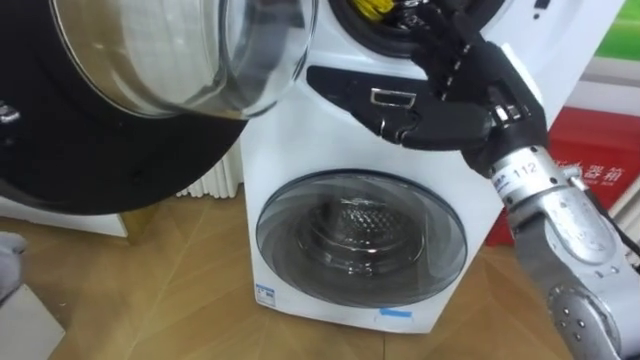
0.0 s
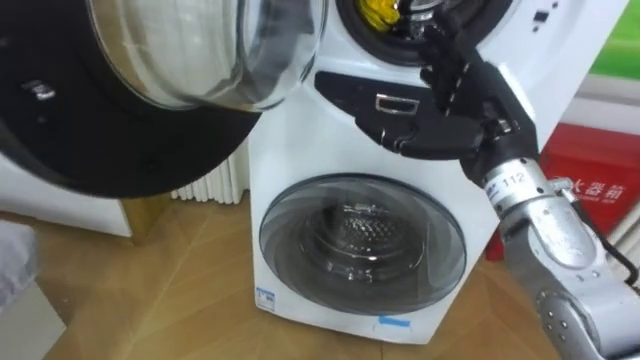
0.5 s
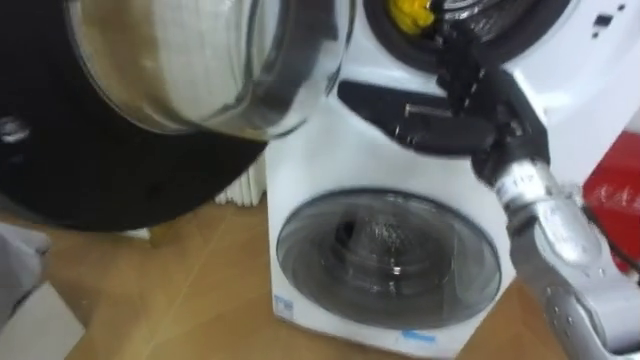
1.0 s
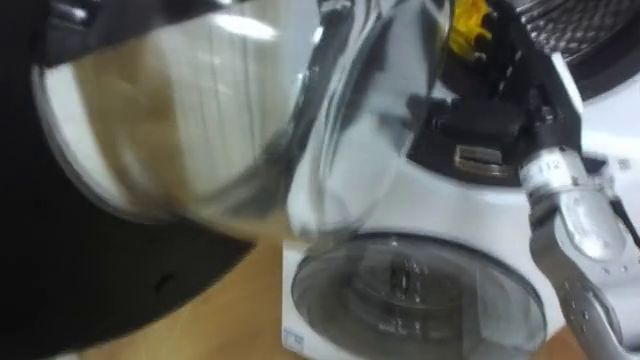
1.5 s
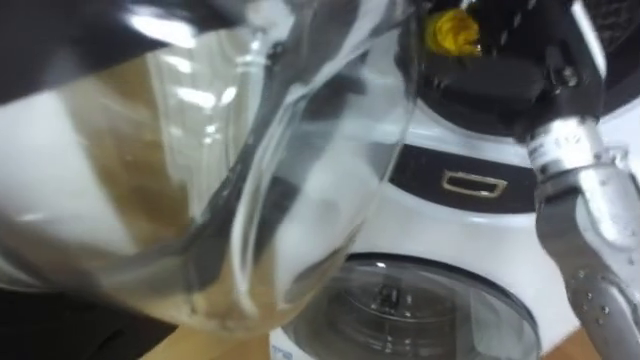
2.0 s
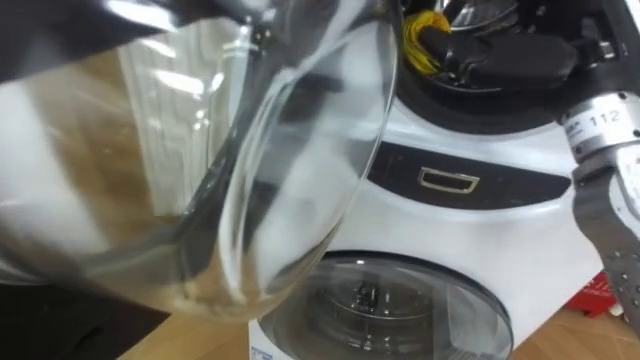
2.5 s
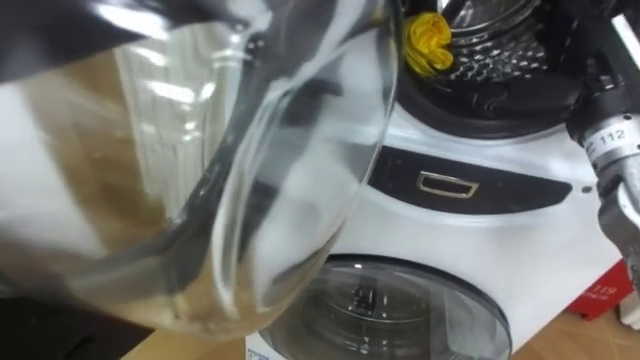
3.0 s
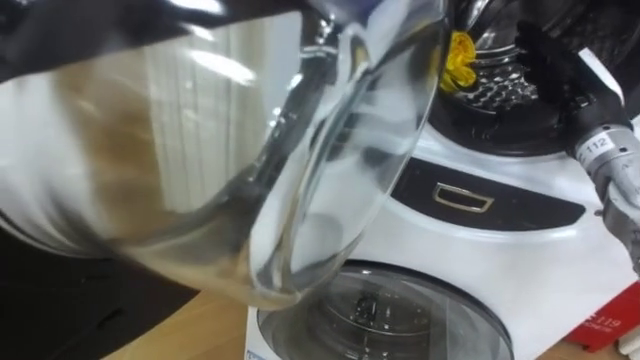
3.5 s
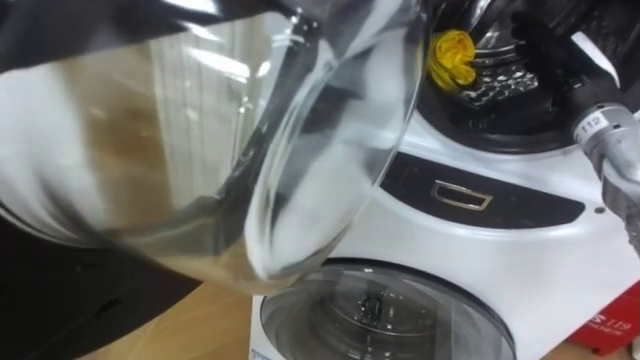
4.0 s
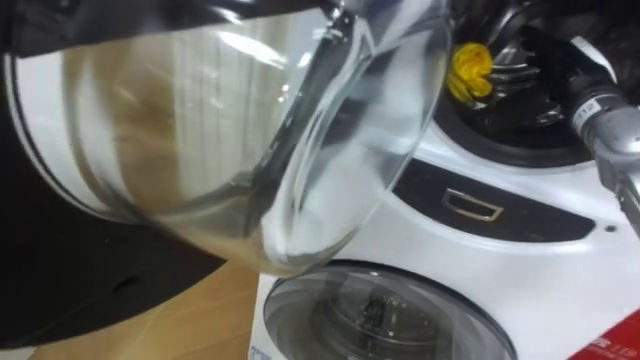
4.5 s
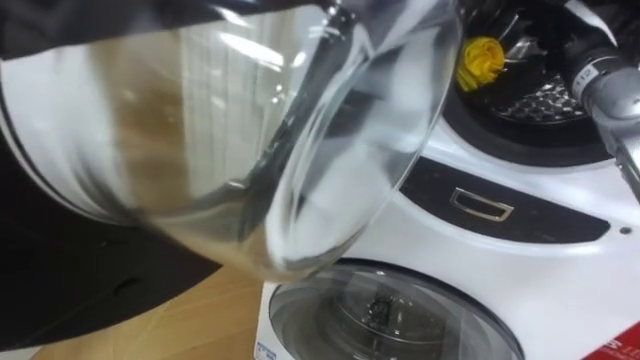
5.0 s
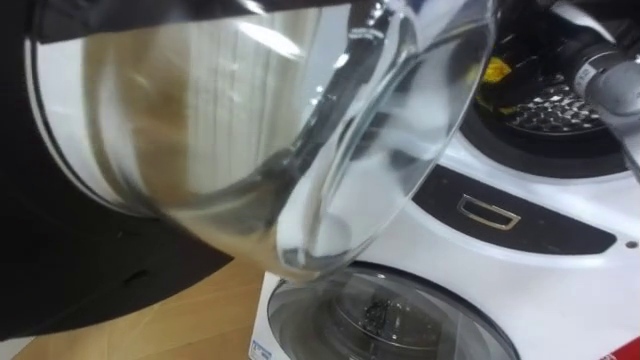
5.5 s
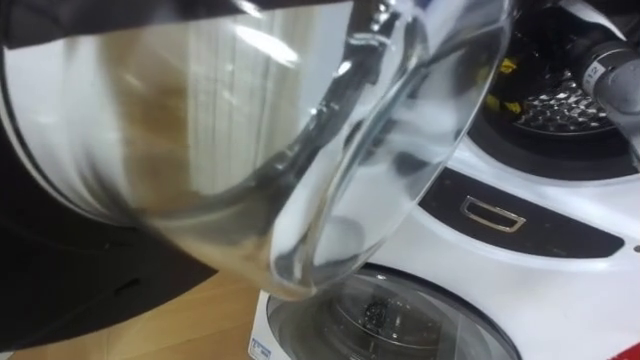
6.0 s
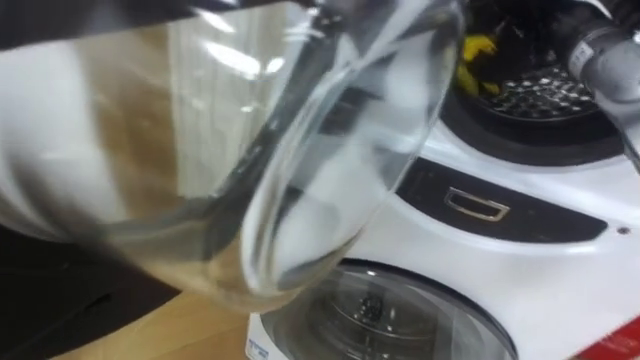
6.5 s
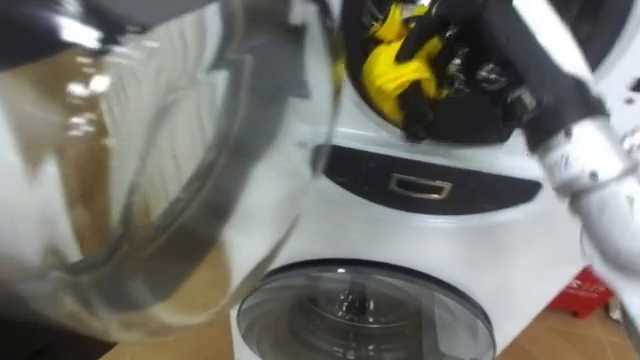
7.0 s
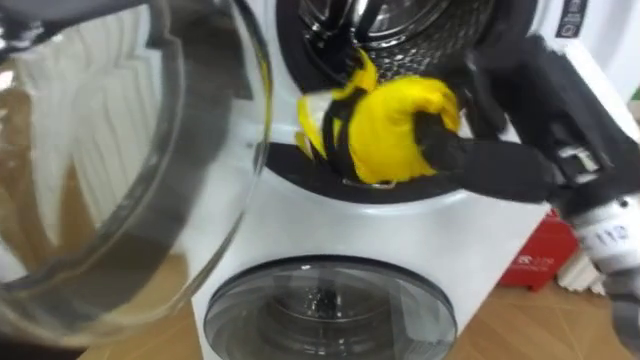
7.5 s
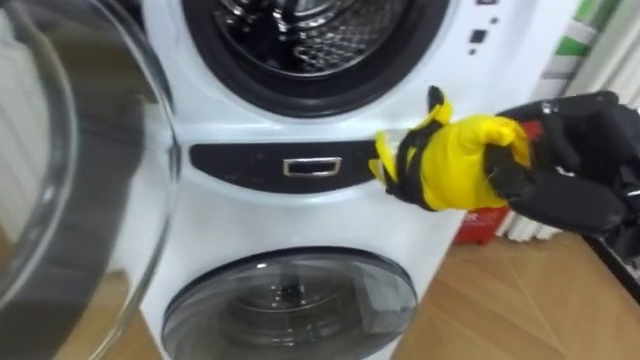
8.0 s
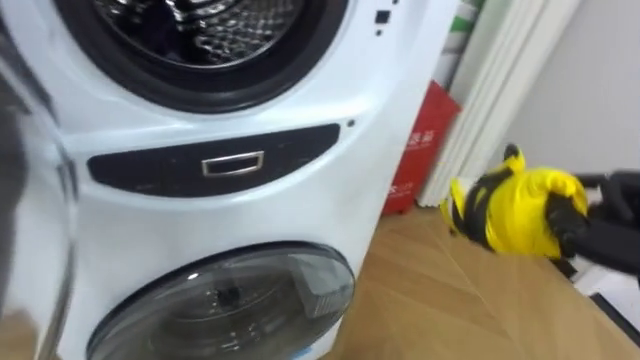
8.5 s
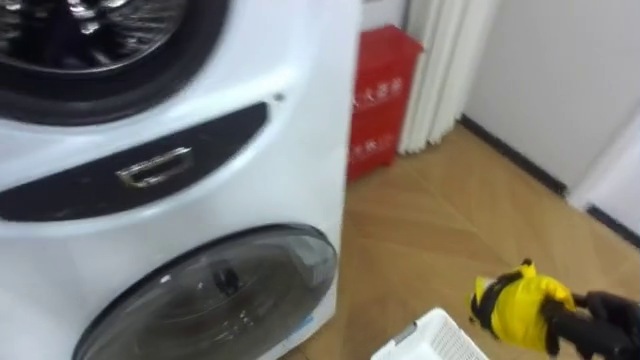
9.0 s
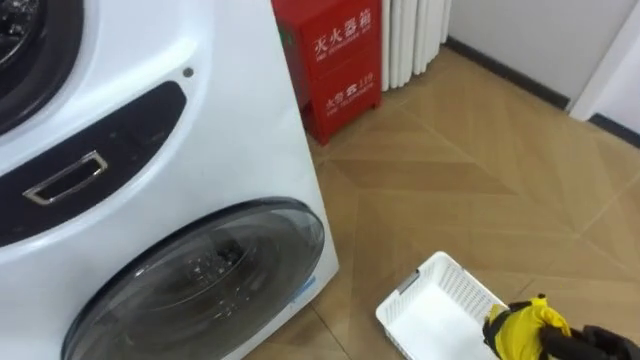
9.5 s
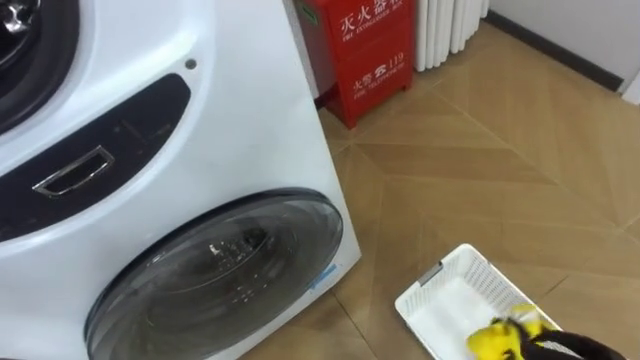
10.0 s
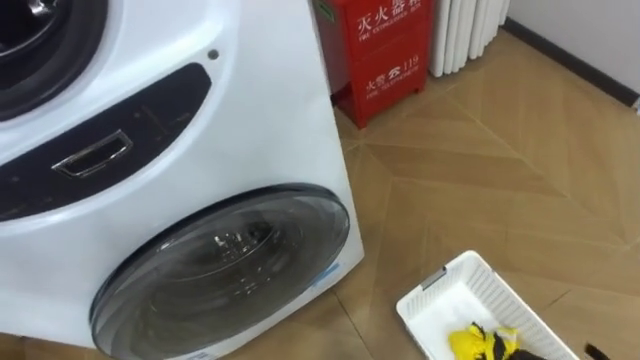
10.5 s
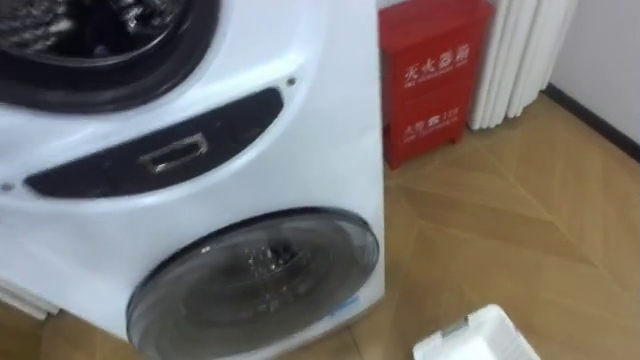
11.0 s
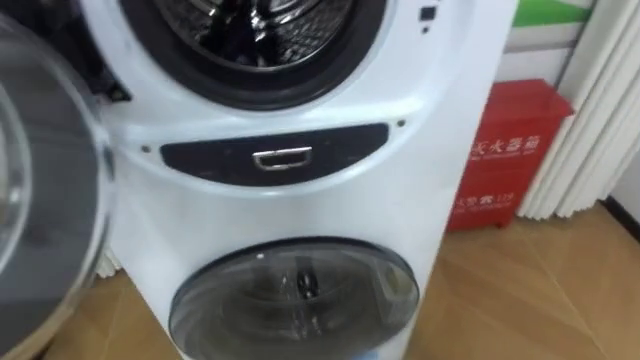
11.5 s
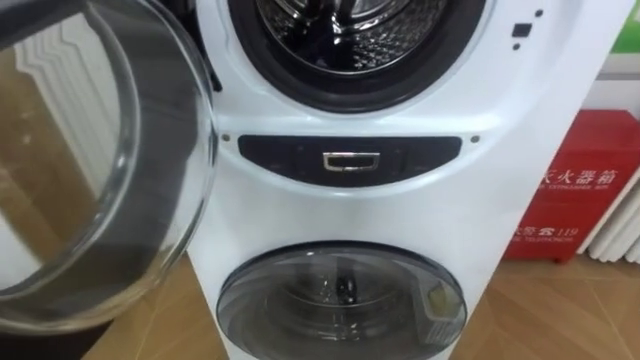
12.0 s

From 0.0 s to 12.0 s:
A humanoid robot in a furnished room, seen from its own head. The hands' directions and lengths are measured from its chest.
Task of the whole recording: Open the washing machine door, take out the yellow clothes, place them in the box on the right, and close the washing machine door.
From 2.0 s to 4.0 s: The right hand moves to the right, forward and downward, about 10 cm.
From 4.0 s to 6.0 s: The right hand closes up.
From 8.0 s to 10.0 s: The robot turns to its right by some 15 degrees.

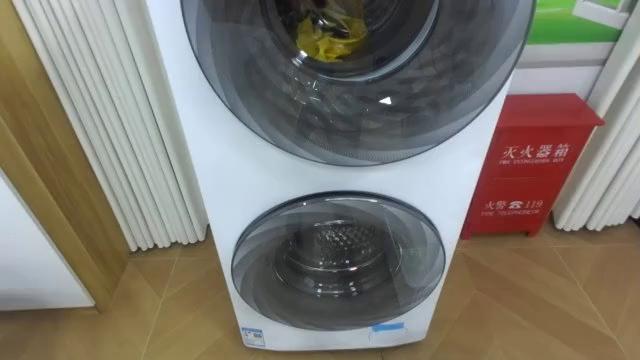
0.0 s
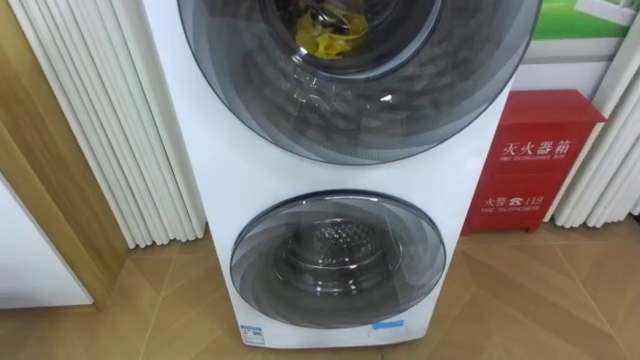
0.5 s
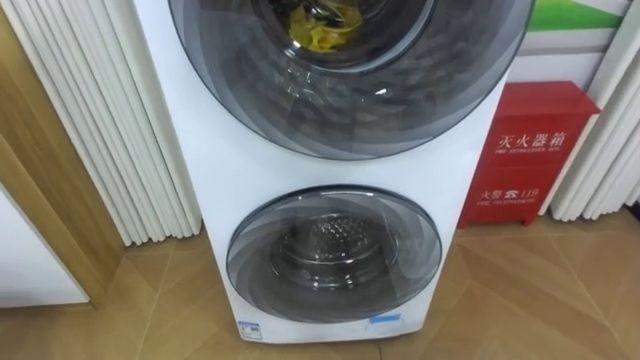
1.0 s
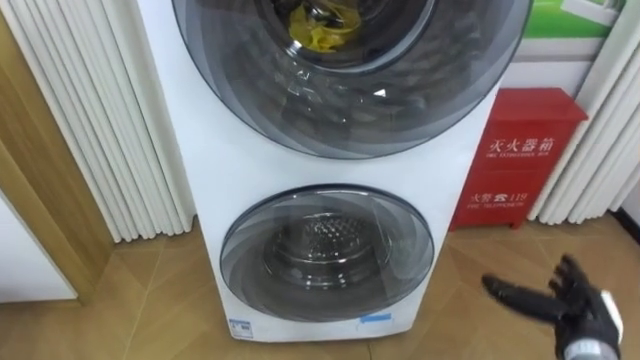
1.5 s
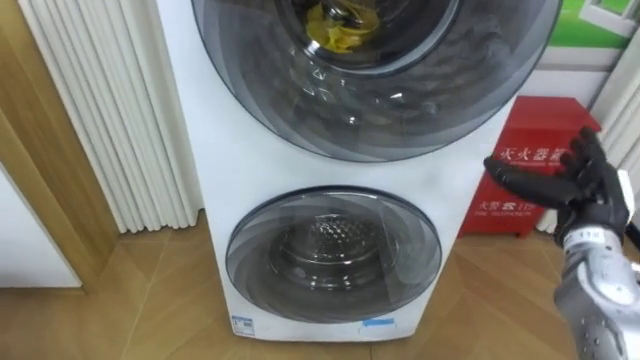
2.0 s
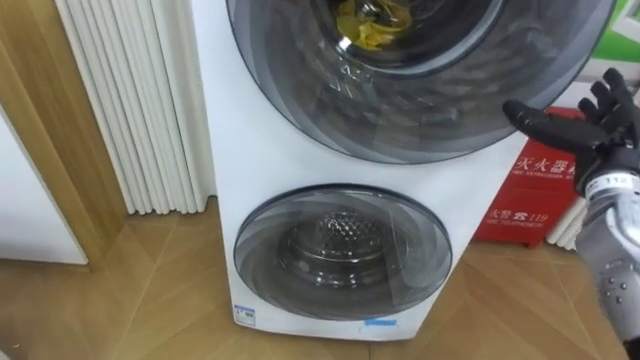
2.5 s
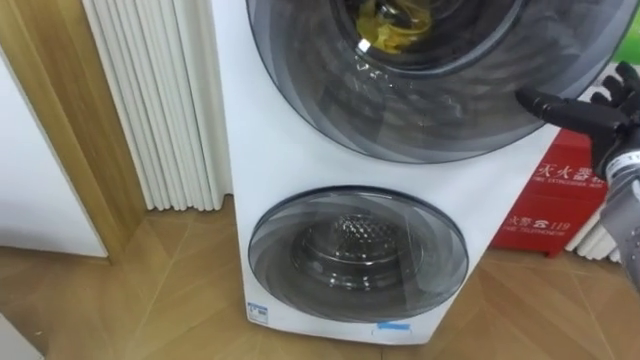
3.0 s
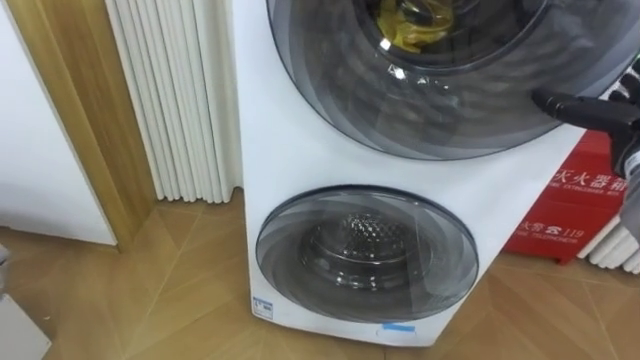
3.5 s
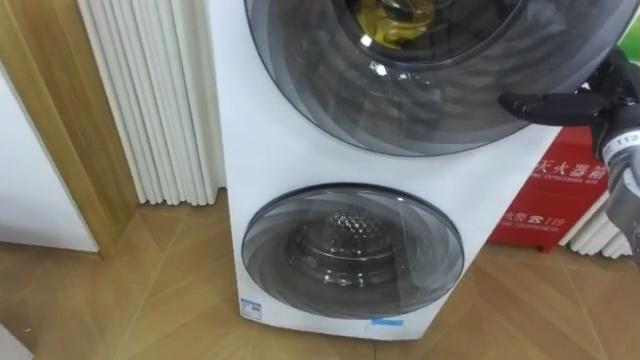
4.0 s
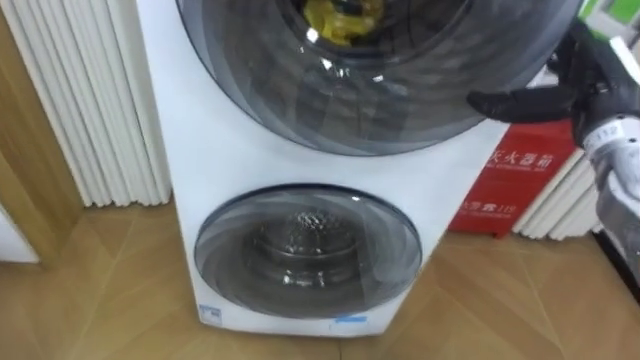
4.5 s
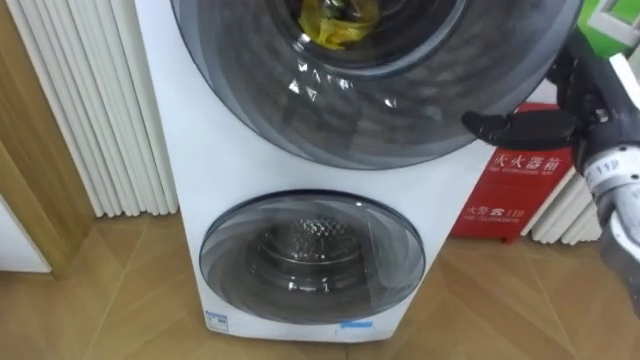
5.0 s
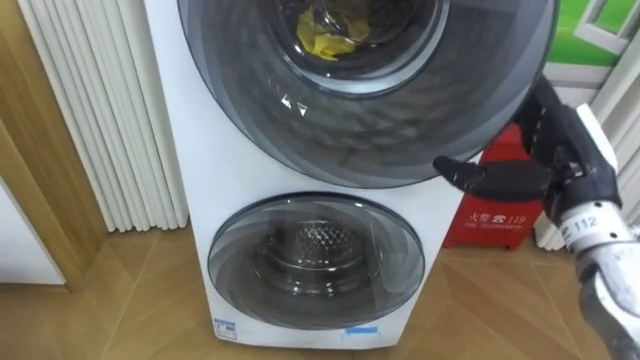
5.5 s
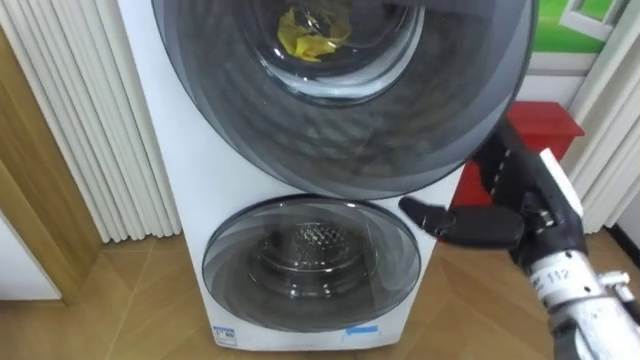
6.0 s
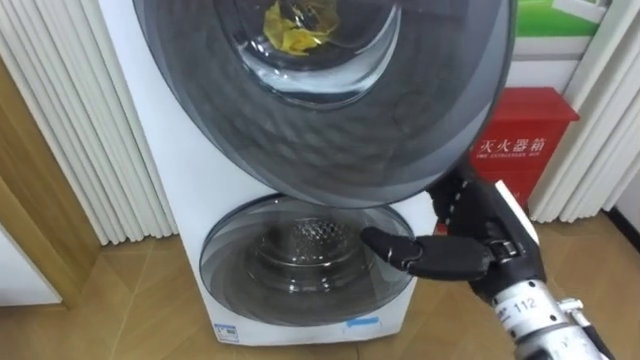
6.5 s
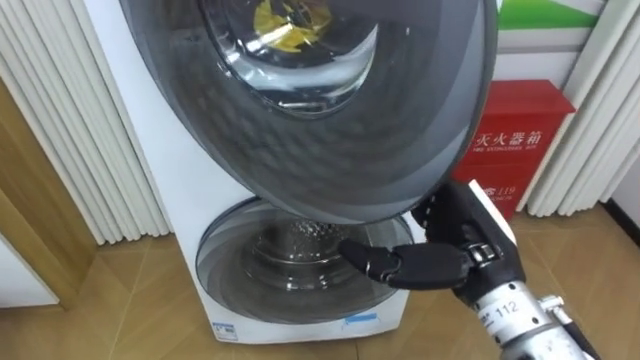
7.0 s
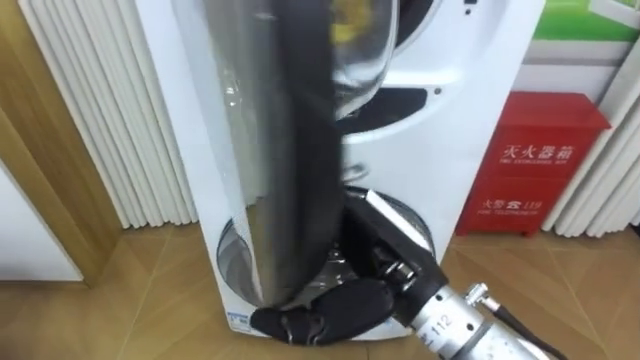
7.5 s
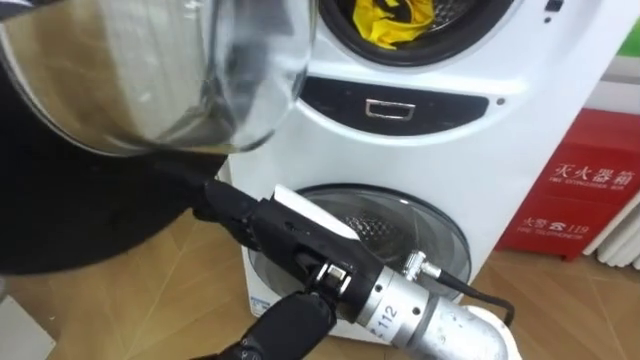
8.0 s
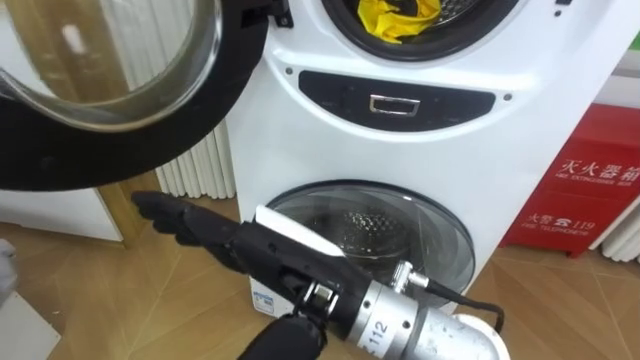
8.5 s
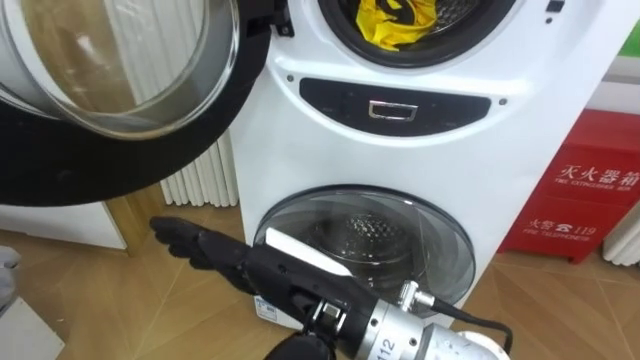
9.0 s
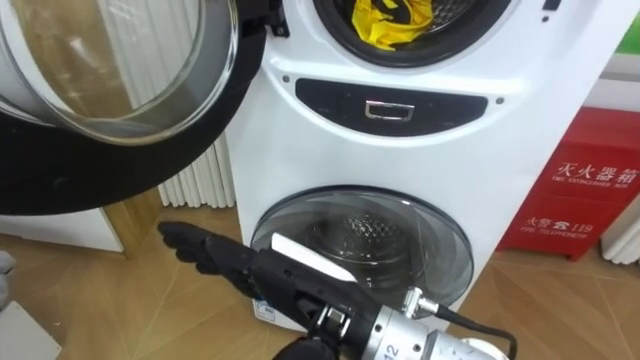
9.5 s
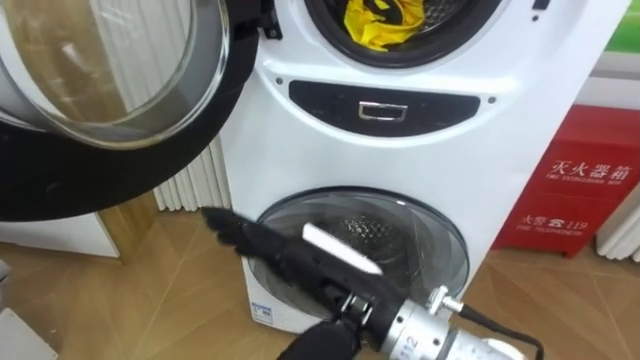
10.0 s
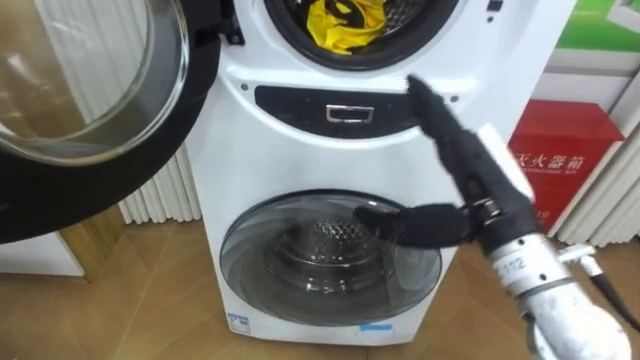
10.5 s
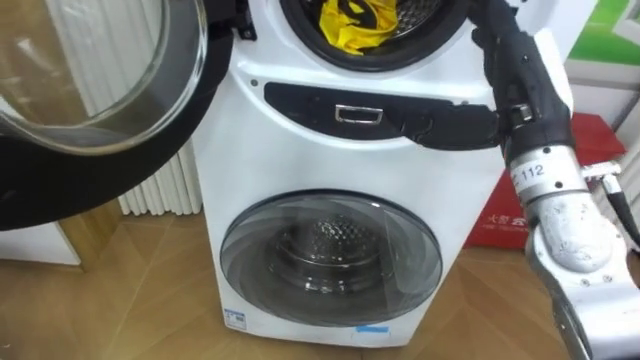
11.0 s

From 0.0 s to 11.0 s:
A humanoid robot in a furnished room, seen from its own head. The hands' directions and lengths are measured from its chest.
Task of the whole recording: Open the washing machine door, take out the yellow clothes, place them in the box on the right, and close the washing machine door.
From 2.0 s to 3.5 s: The right hand travels upward and to the right by about 10 cm.
From 3.5 s to 5.5 s: The right hand is displaced to the left and backward by about 15 cm.
From 5.5 s to 7.5 s: The right hand travels to the left and backward by approximately 20 cm.
From 7.5 s to 9.0 s: The right hand shifts roughly 5 cm to the left.
From 9.0 s to 11.0 s: The right hand heads to the right, forward and upward, covering some 25 cm.
